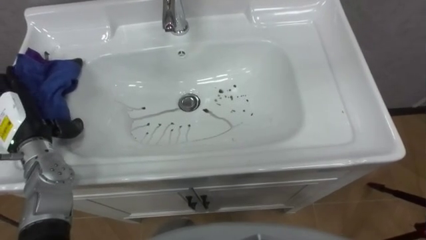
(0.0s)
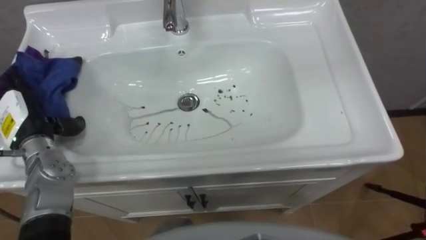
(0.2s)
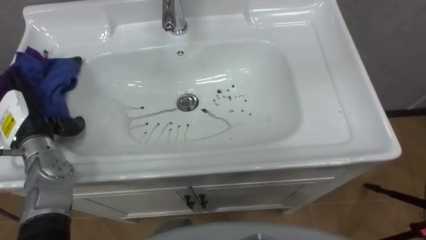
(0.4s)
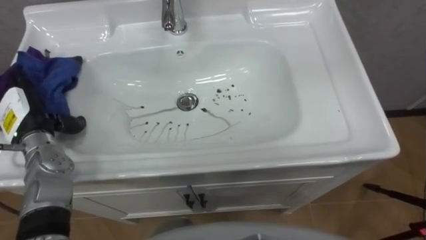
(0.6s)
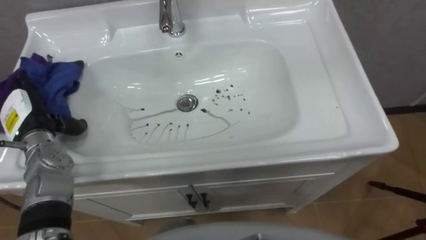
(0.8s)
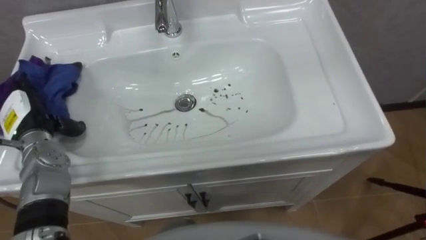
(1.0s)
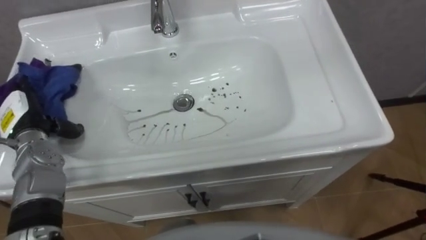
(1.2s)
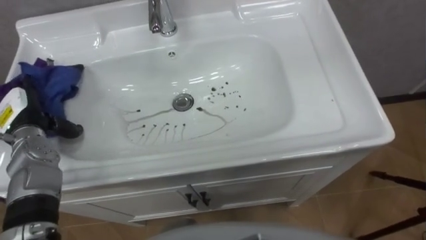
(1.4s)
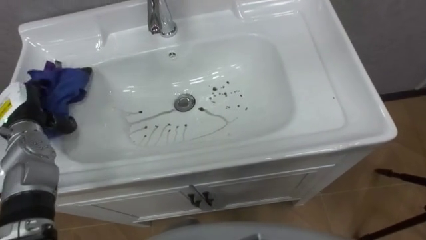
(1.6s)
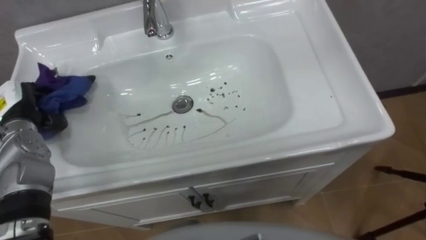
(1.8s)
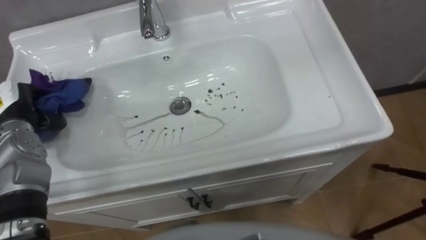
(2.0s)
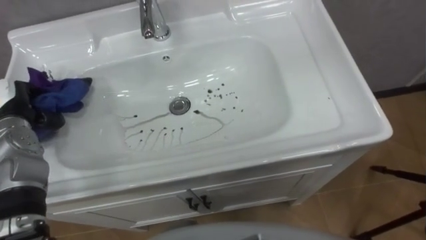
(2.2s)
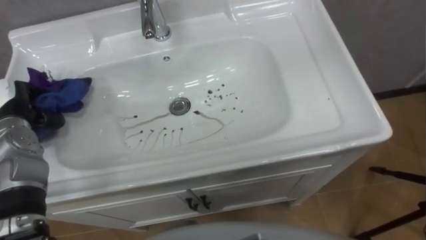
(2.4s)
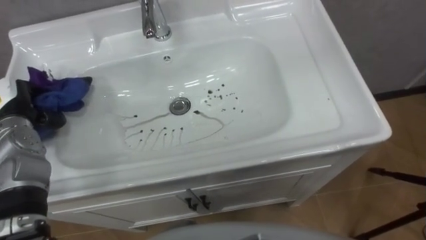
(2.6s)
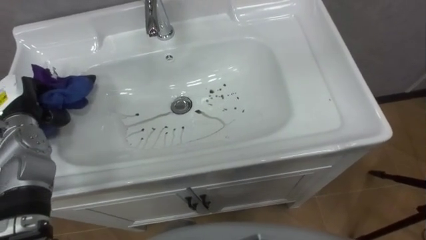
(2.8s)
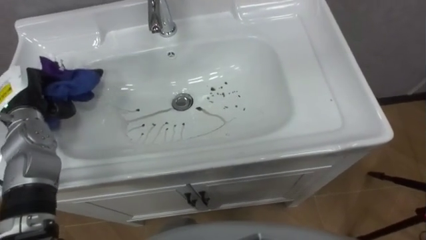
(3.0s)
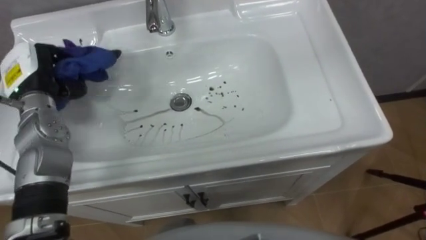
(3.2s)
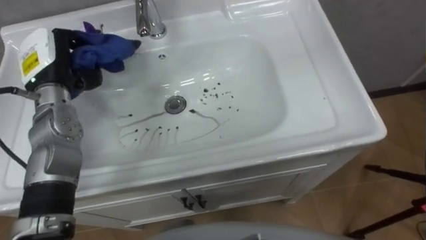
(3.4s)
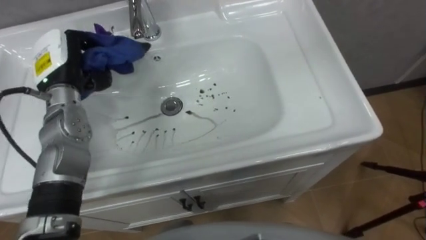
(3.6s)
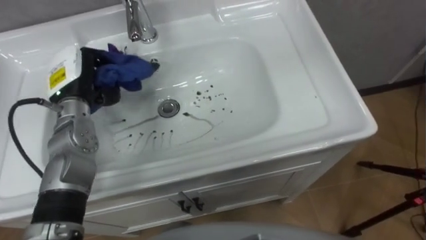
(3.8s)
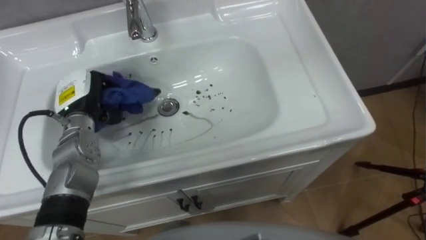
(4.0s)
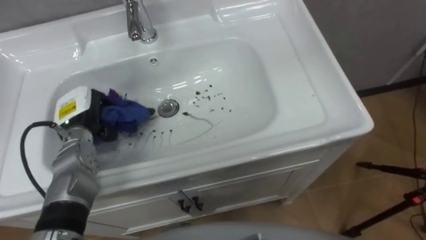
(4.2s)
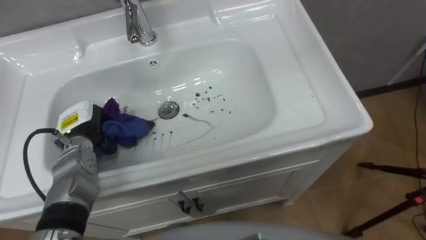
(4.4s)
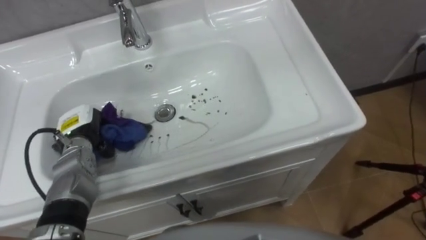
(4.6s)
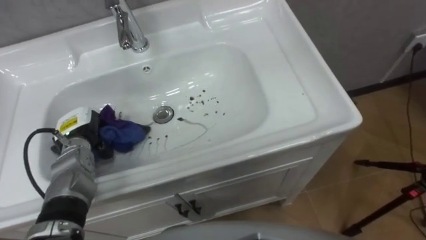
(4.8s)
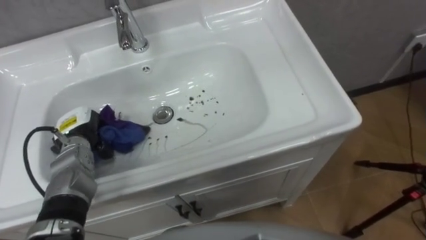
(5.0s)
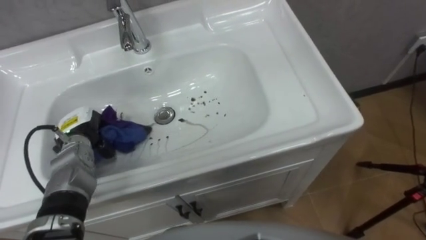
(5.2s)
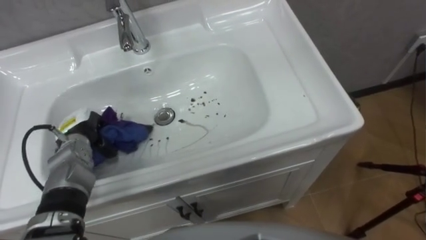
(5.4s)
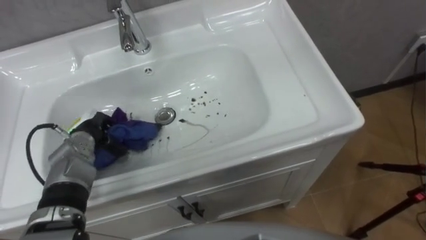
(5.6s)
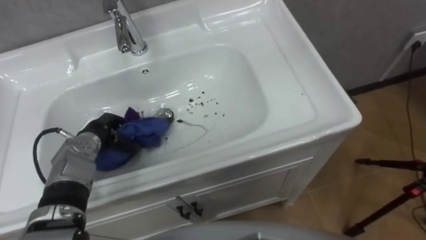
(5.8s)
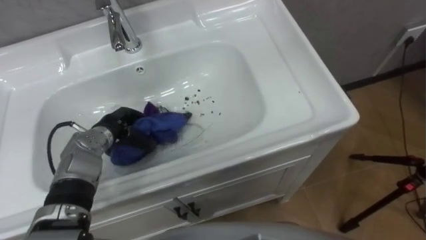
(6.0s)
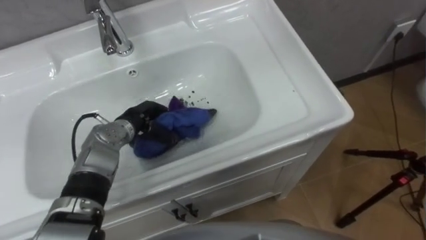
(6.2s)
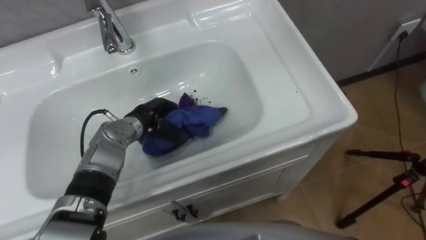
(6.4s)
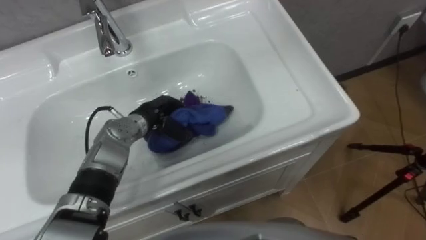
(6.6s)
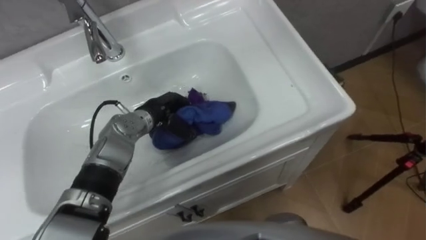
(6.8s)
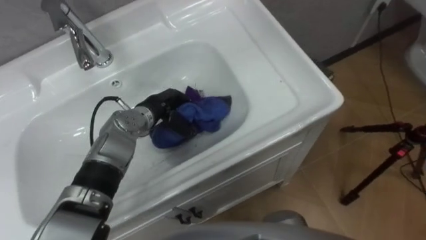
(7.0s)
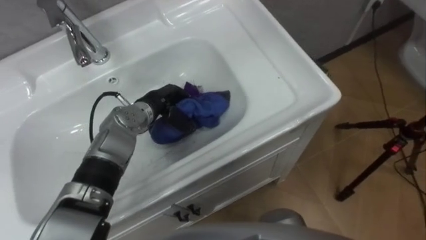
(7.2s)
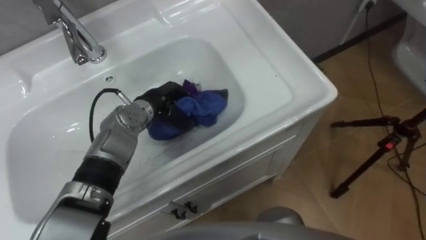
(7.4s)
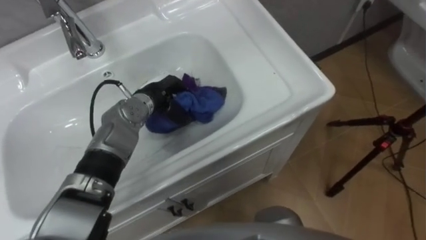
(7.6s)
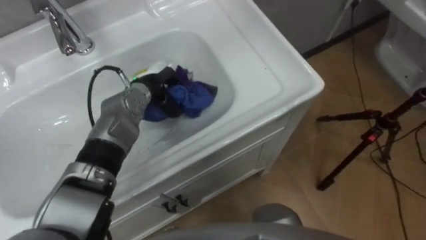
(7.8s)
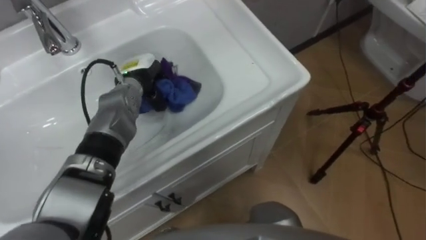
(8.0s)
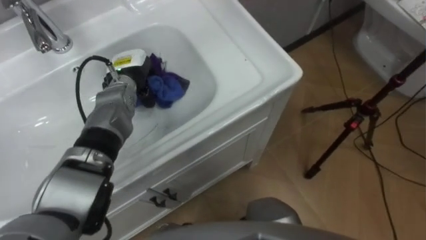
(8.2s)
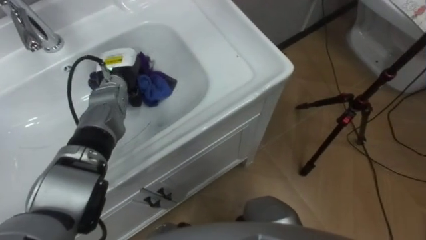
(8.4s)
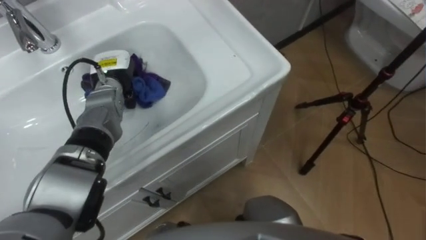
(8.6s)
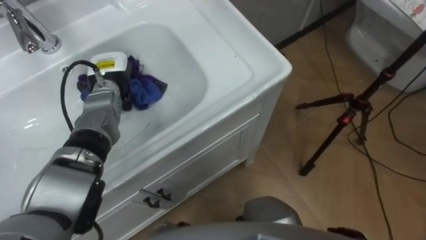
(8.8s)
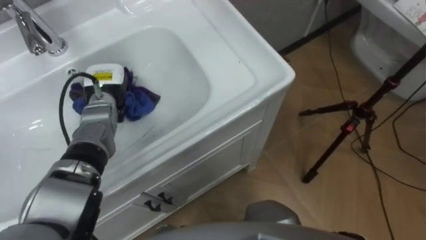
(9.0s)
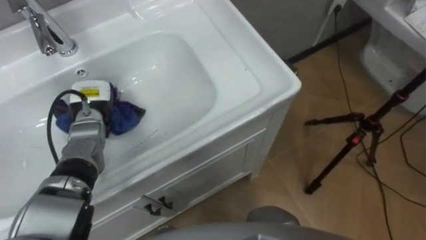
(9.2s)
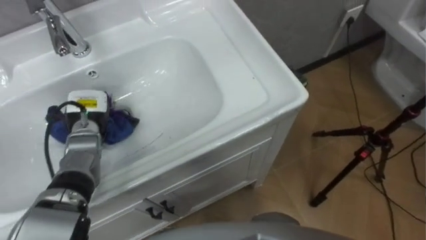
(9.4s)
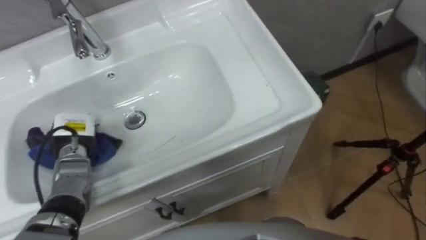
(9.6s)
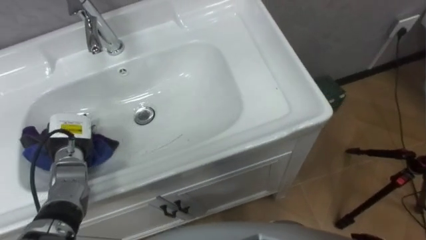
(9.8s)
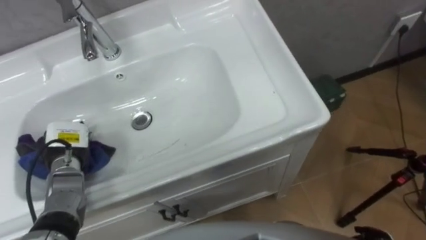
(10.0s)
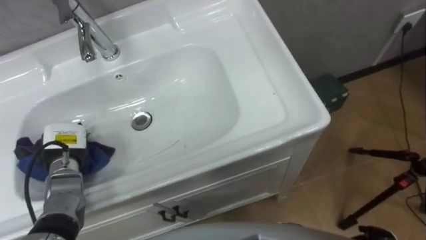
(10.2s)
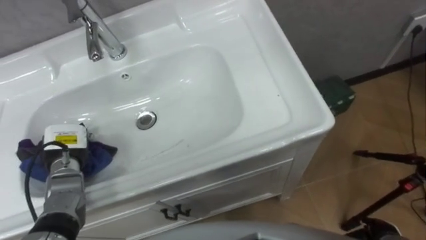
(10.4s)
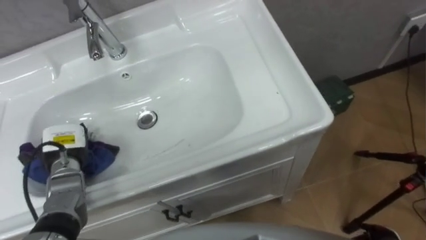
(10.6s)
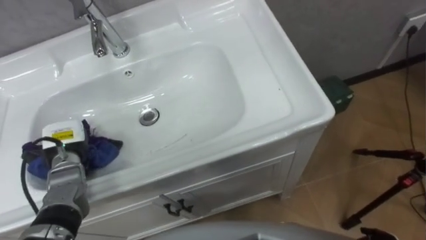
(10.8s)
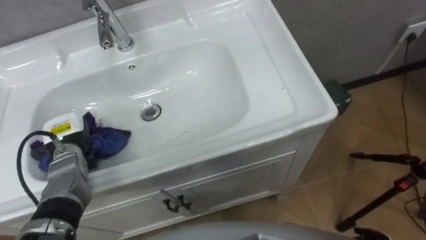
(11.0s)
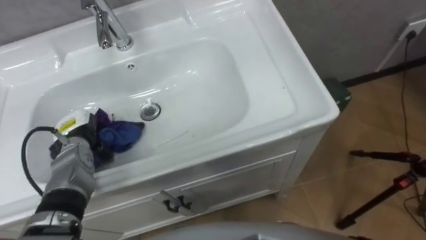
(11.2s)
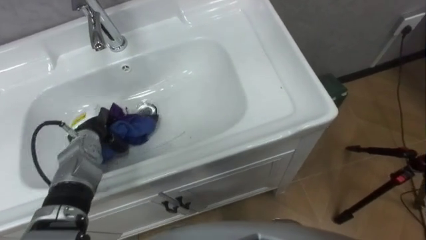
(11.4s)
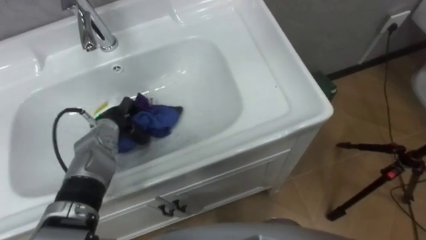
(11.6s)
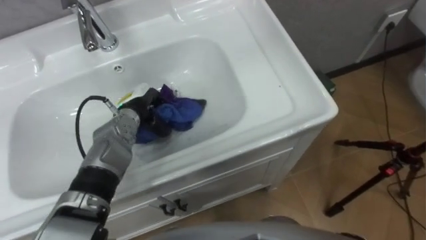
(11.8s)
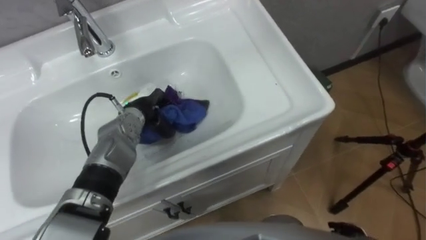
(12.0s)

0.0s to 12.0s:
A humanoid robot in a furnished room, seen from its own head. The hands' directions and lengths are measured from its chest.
Task of the whole recording: Use the cloth on the right to wipe away the black stain in the sink.
1.6s to 3.0s: The left hand closes up.
3.0s to 4.4s: The left hand travels downward and to the right by roughly 10 cm.
4.4s to 6.0s: The left hand is displaced to the right by approximately 5 cm.
6.0s to 7.6s: The left hand is displaced to the right and forward by about 10 cm.
7.6s to 9.0s: The left hand goes some 10 cm to the left.
9.0s to 10.4s: The left hand goes roughly 15 cm backward and to the left.
10.4s to 12.0s: The left hand shifts approximately 20 cm to the right and forward.

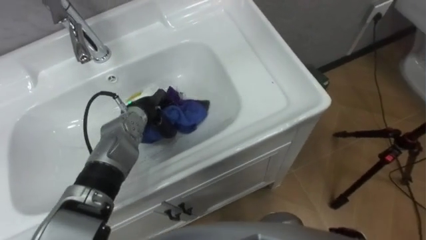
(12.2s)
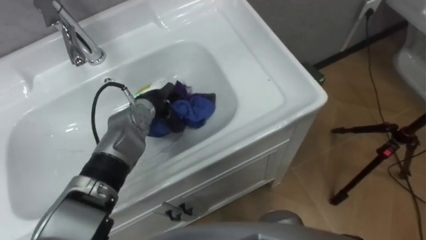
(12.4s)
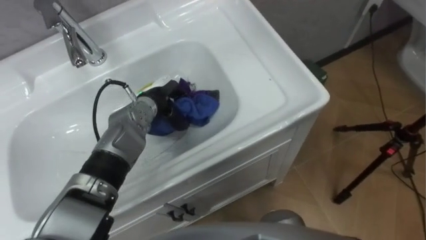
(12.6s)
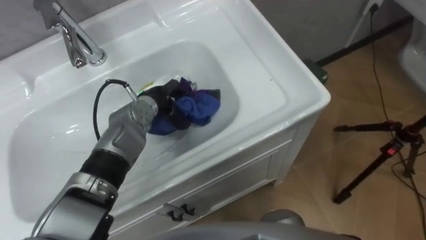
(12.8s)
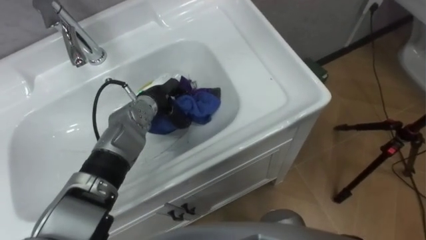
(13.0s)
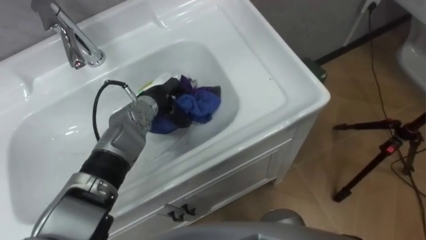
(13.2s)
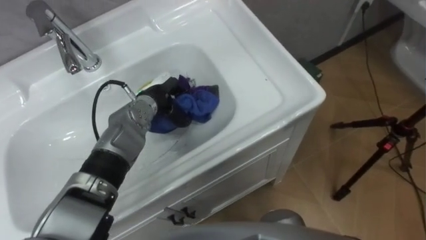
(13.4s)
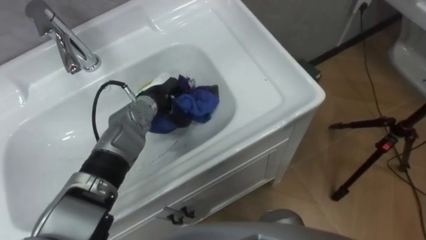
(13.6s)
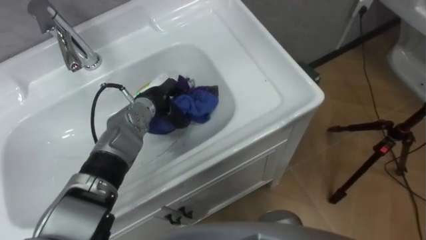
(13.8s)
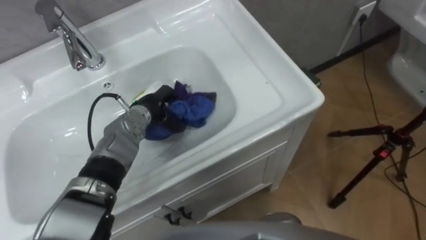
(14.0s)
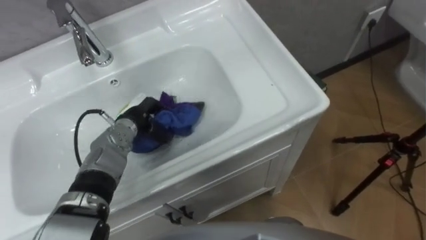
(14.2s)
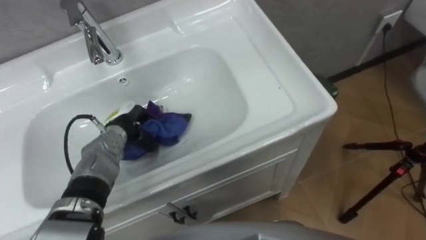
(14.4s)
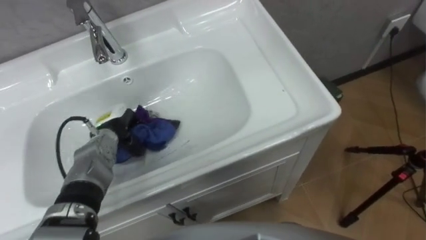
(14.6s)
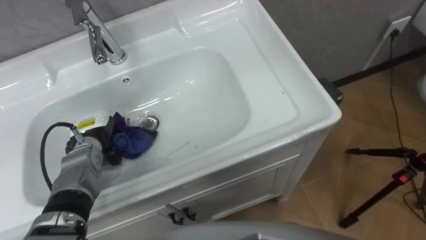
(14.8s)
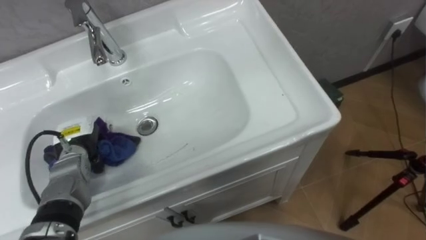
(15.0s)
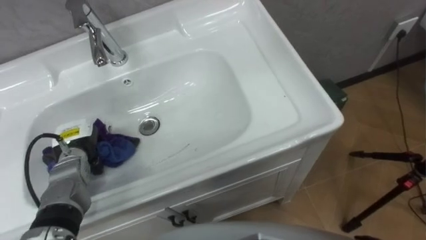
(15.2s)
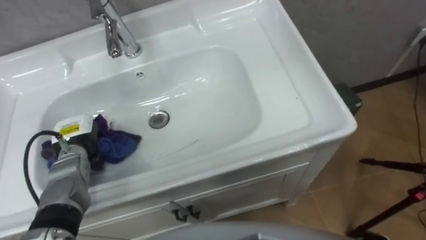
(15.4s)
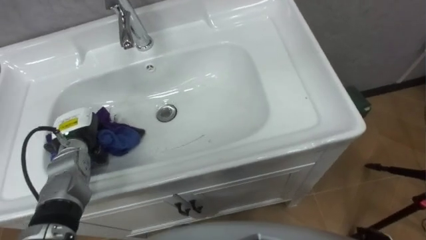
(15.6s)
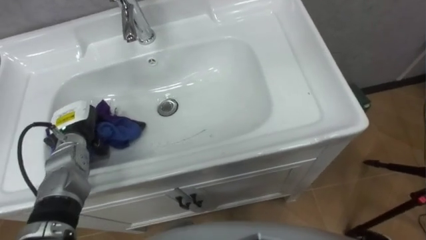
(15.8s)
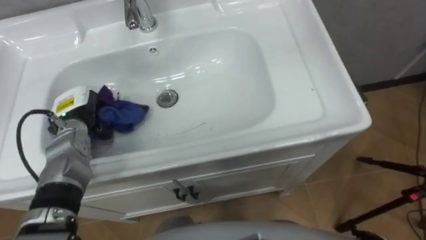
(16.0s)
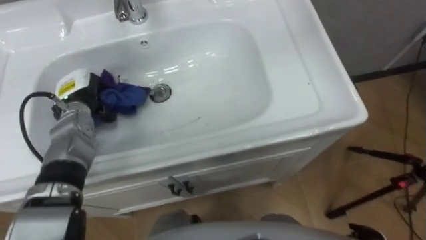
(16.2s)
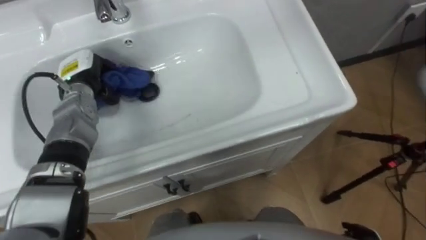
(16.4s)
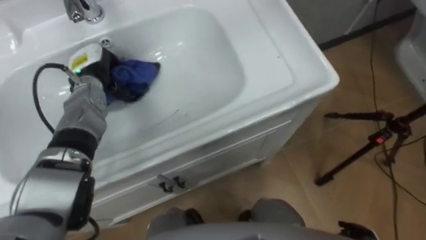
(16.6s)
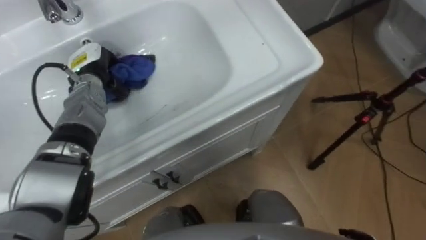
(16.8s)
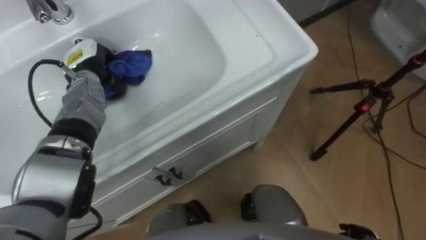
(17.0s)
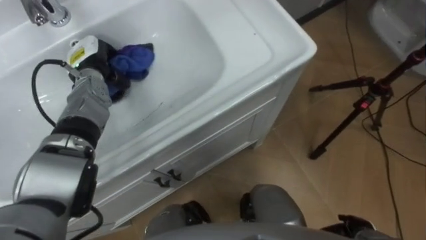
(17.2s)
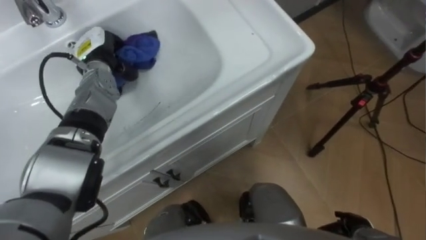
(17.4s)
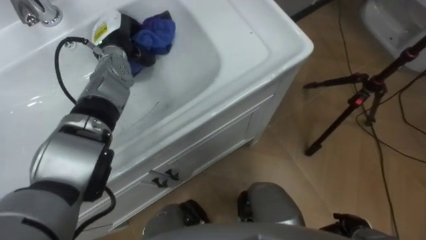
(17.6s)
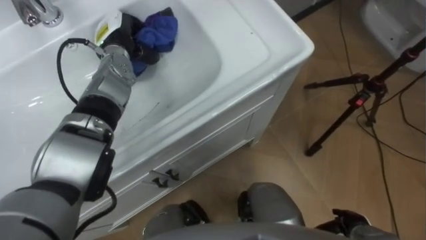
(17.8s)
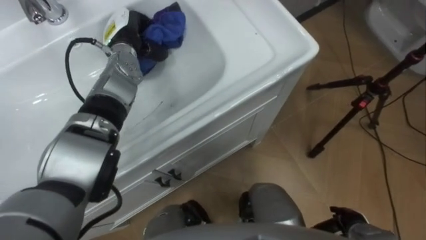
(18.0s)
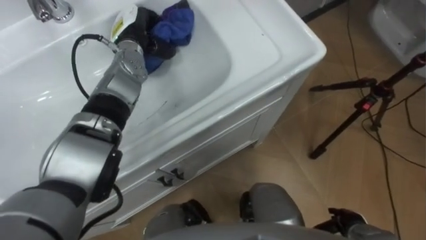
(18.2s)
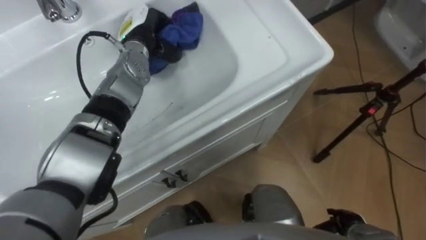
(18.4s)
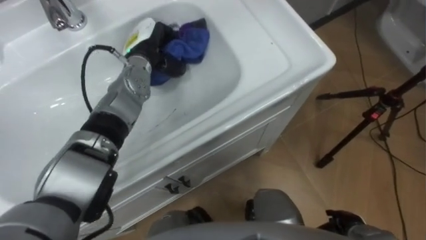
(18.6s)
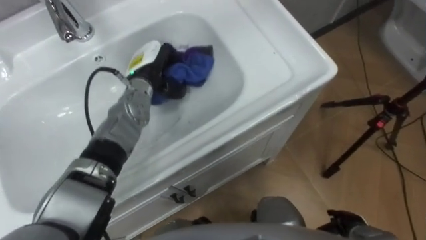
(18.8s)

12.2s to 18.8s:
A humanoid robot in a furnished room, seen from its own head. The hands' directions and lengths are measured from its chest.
Task of the whole recording: Use the cloth on the right to wipe away the black stain in the sink.
13.8s to 15.4s: The left hand shifts some 20 cm to the left and backward.
15.4s to 17.2s: The left hand goes roughly 15 cm forward and upward.
17.2s to 18.8s: The left hand goes approximately 10 cm to the right.
